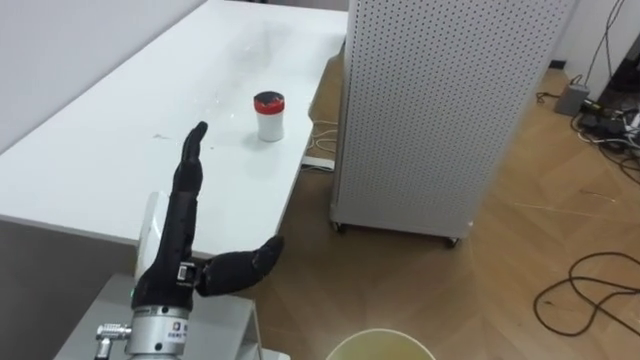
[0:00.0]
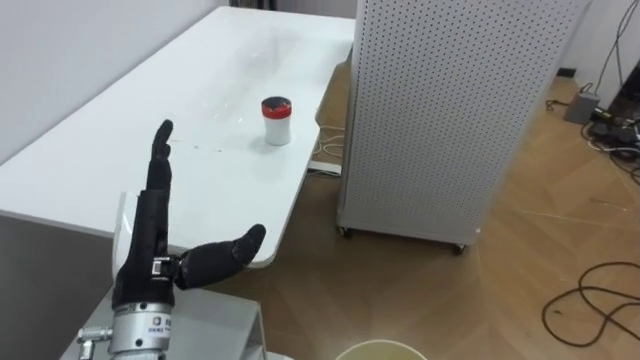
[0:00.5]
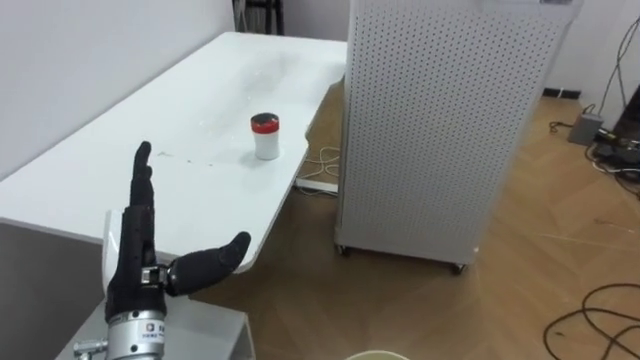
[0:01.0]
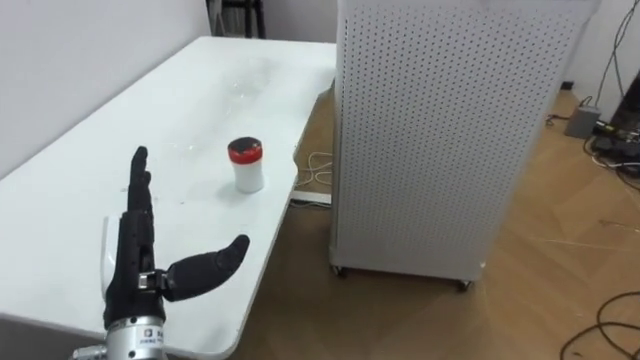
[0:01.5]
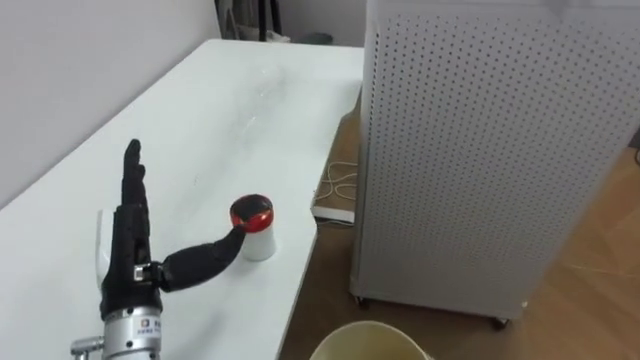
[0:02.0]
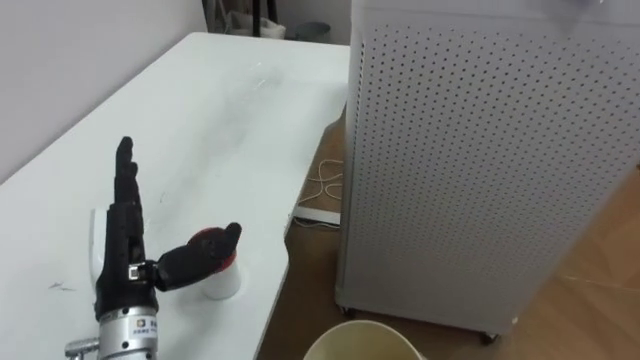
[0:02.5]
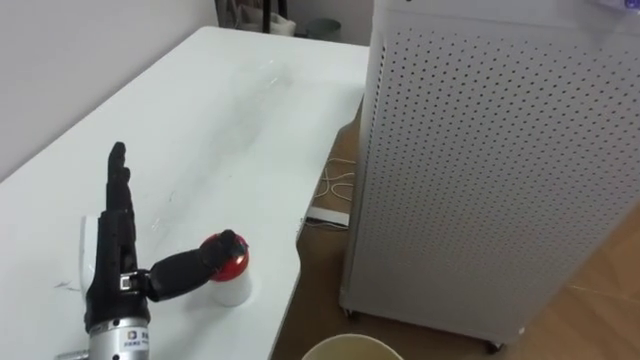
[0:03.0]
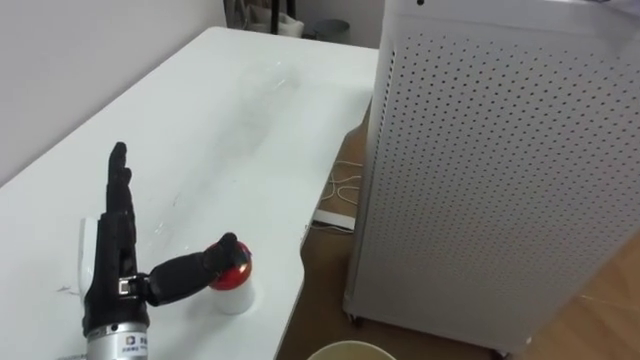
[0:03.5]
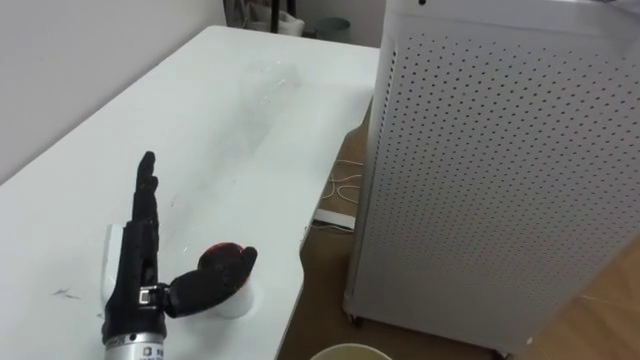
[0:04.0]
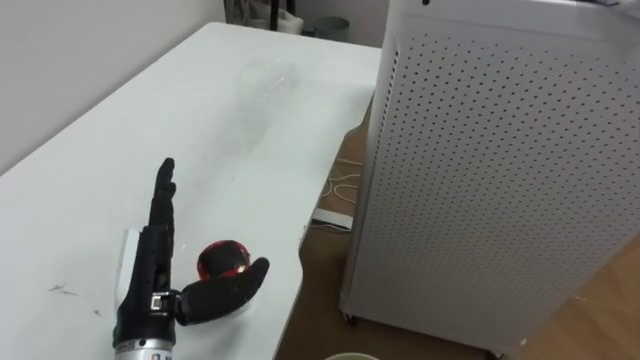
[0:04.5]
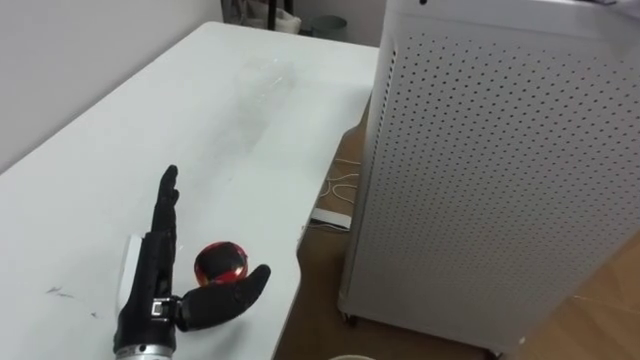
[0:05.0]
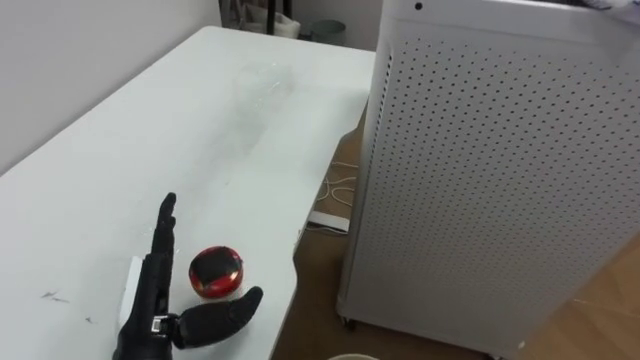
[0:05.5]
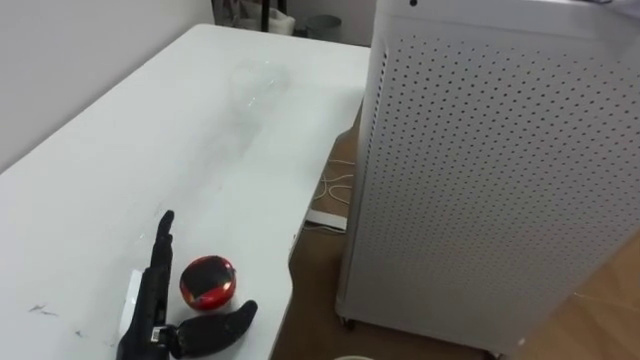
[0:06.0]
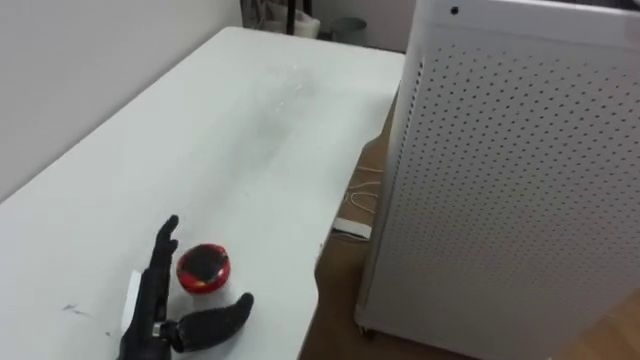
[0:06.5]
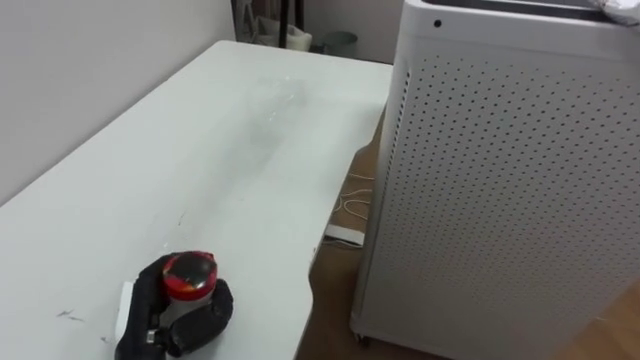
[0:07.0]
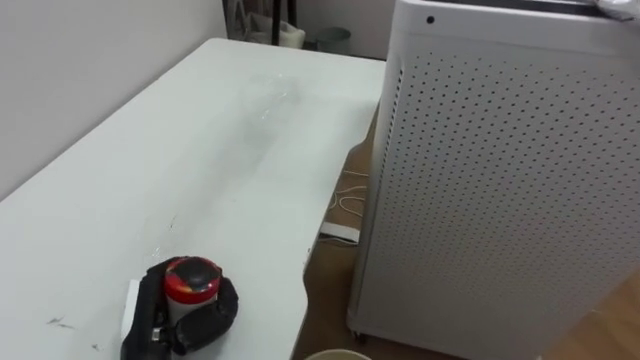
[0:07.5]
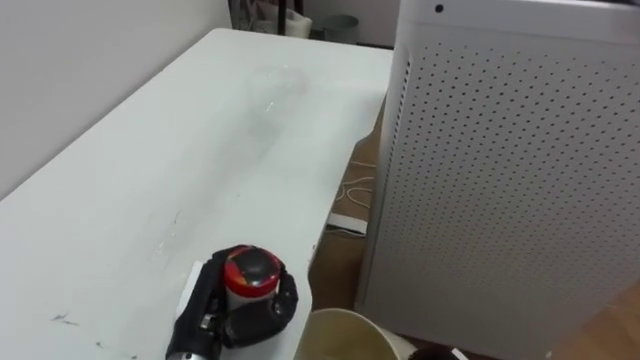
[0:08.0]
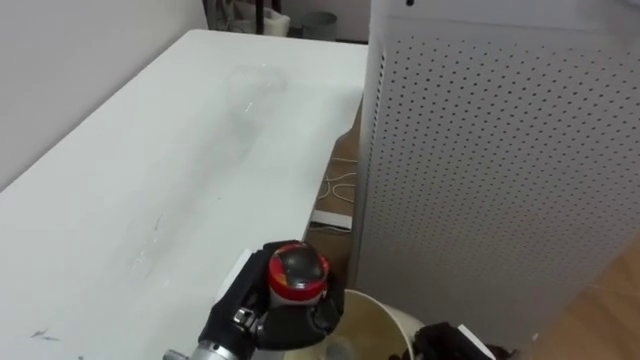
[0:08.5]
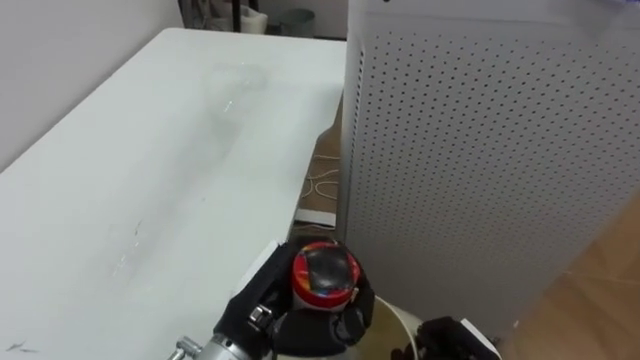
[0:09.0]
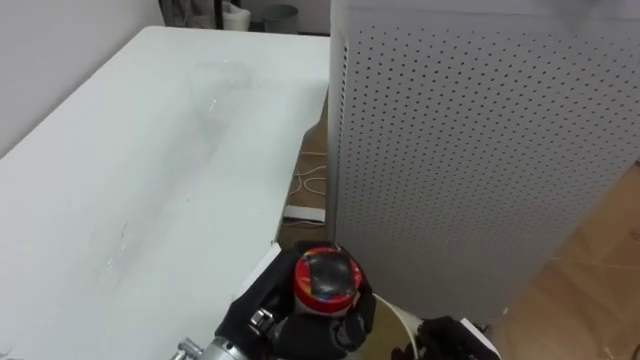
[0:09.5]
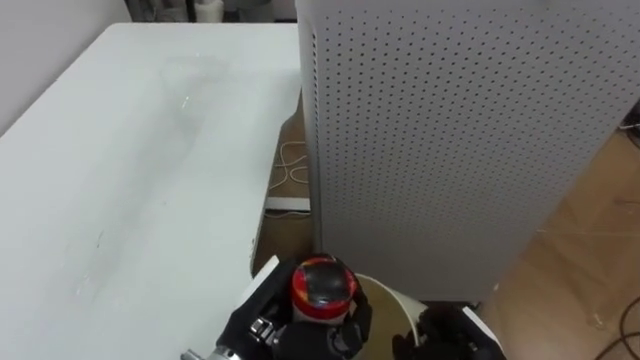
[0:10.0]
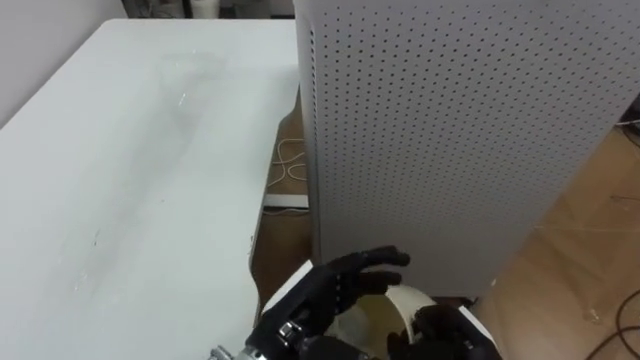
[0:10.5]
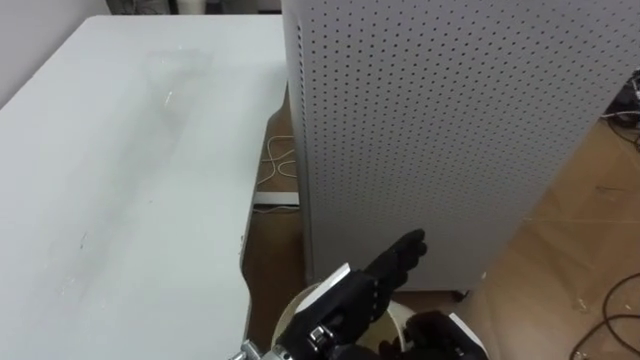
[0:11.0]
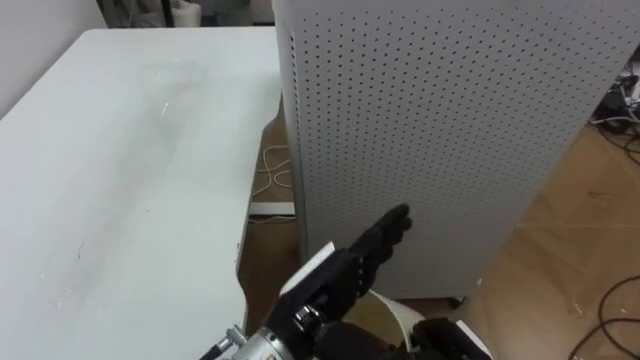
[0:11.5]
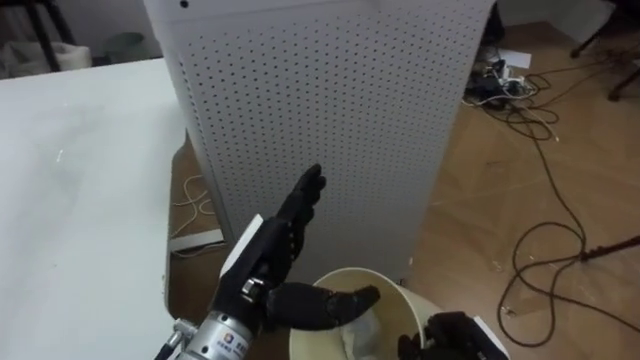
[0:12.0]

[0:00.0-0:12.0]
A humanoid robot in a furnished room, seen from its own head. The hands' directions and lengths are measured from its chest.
Task of the whole recording: Pick up the light blue package, the candy box, and the dark blue package separately, and put them into the trash can held in your right hand.
0:04.0 to 0:06.0: The left hand heads downward, covering about 5 cm.
0:06.0 to 0:08.0: The left hand heads to the right, covering about 5 cm, and closes up.
0:08.0 to 0:10.0: The left hand goes about 10 cm to the right.
0:10.0 to 0:12.0: The robot rotates about 15 degrees to its right. The left hand moves about 5 cm to the right and comes back, and opens up.

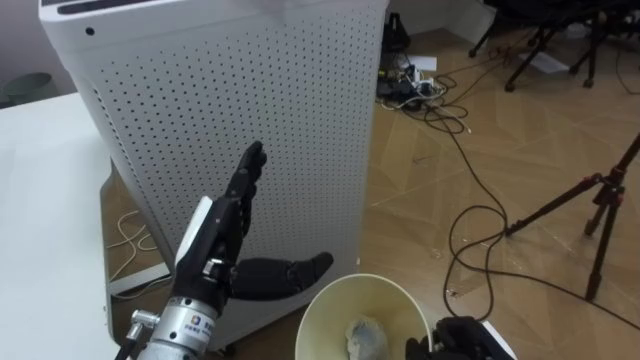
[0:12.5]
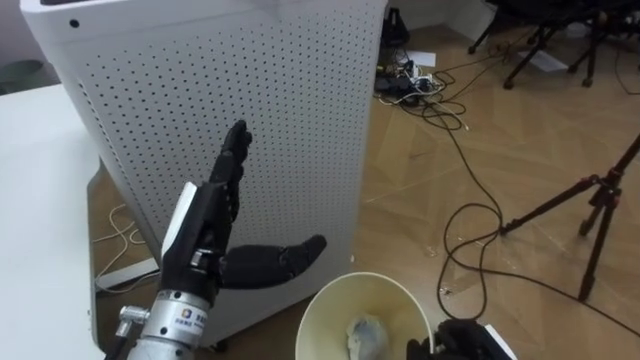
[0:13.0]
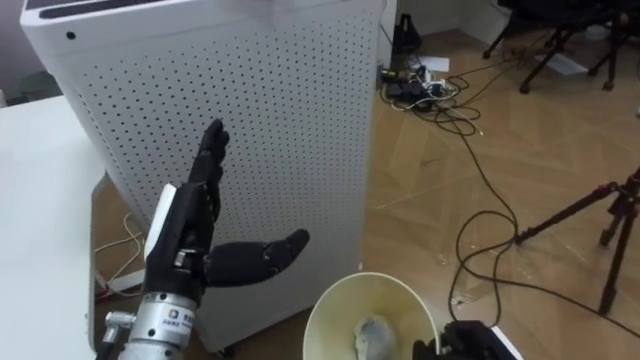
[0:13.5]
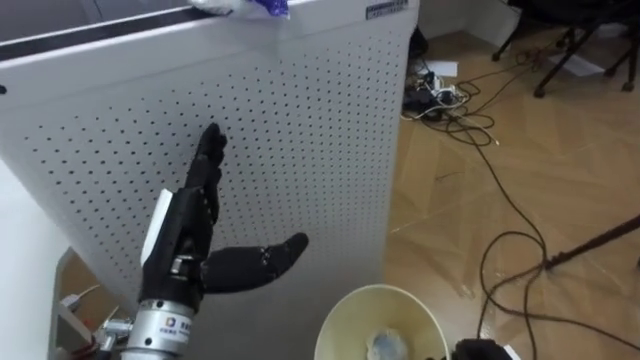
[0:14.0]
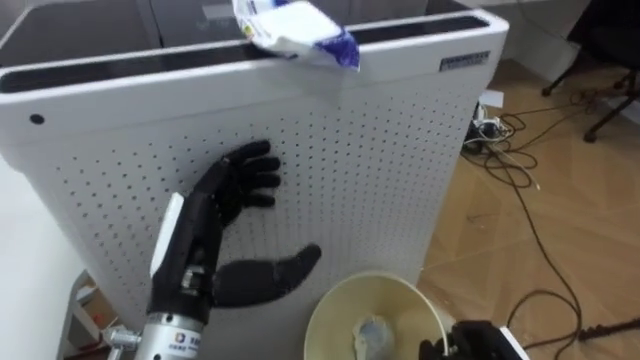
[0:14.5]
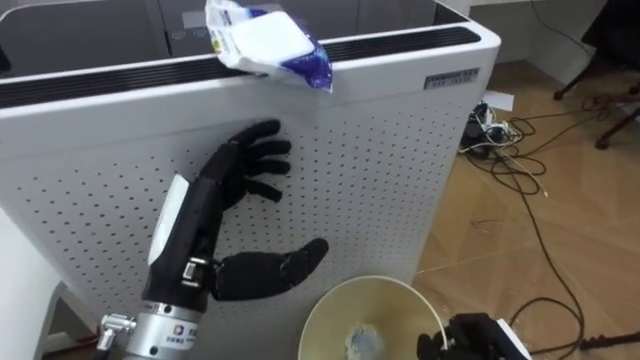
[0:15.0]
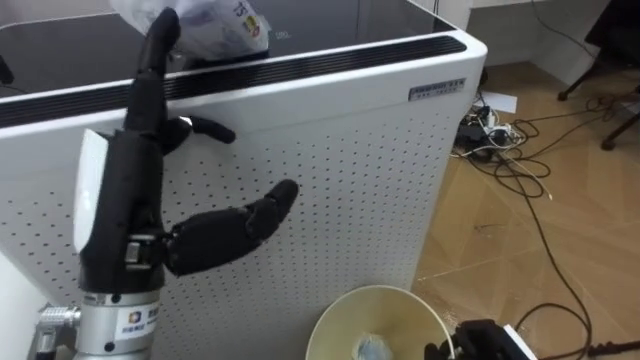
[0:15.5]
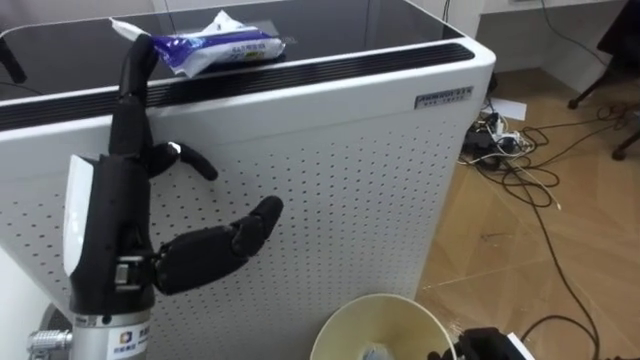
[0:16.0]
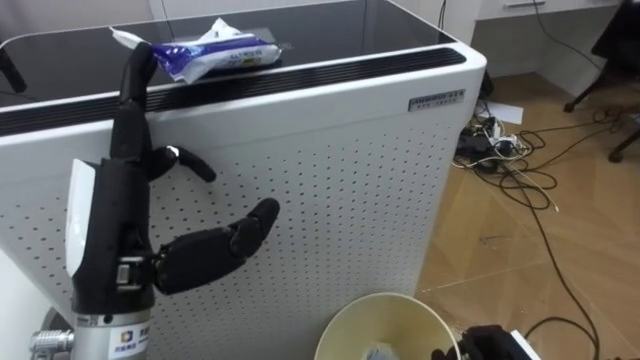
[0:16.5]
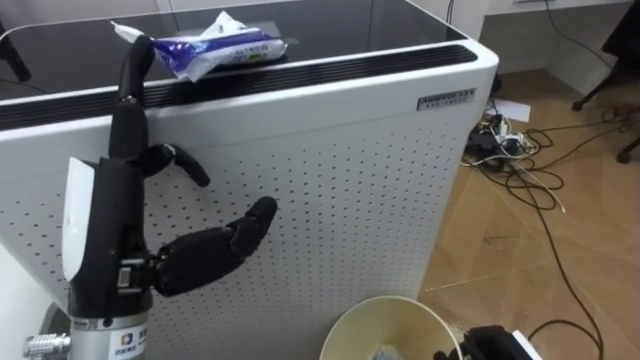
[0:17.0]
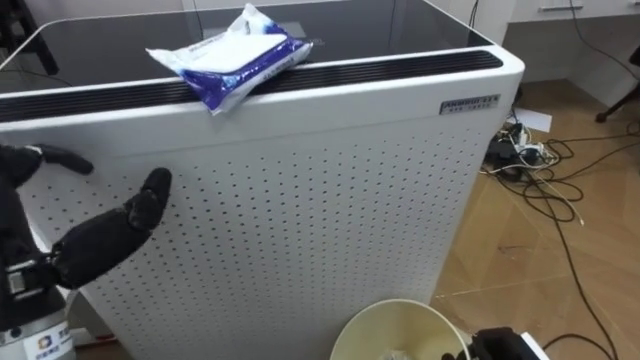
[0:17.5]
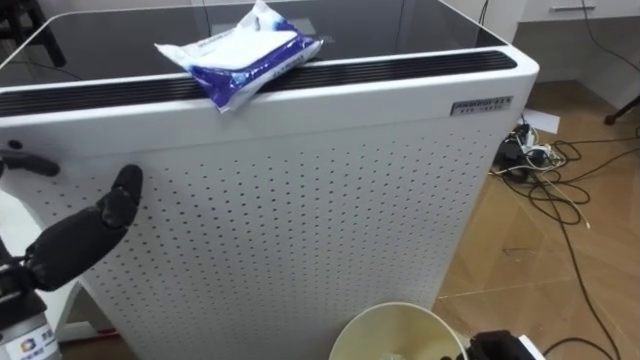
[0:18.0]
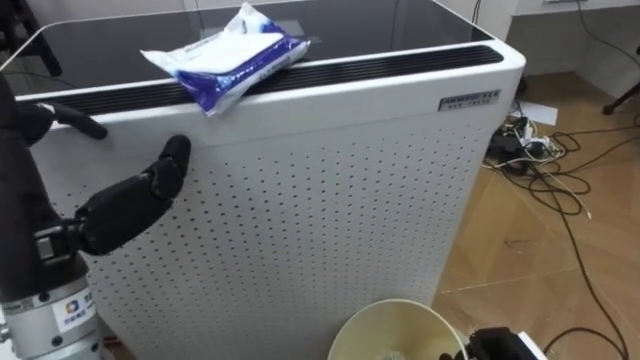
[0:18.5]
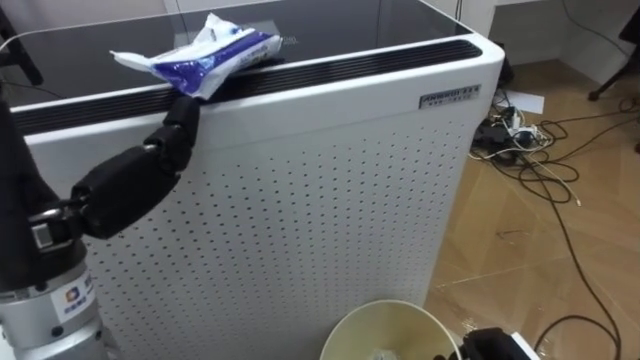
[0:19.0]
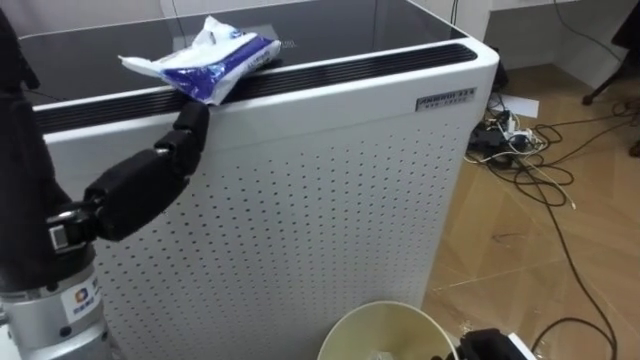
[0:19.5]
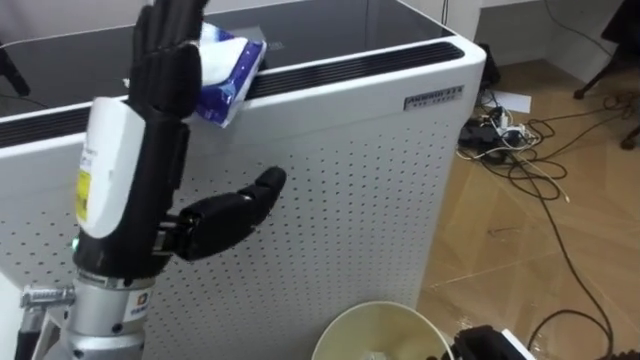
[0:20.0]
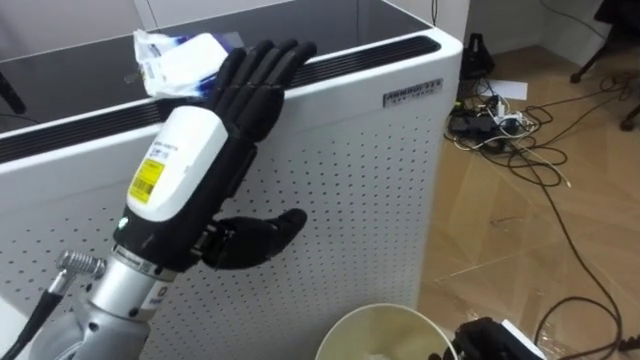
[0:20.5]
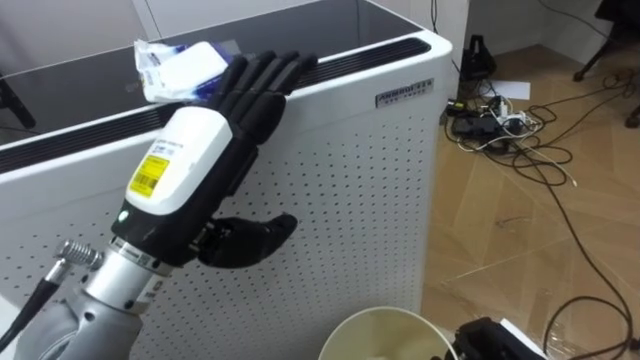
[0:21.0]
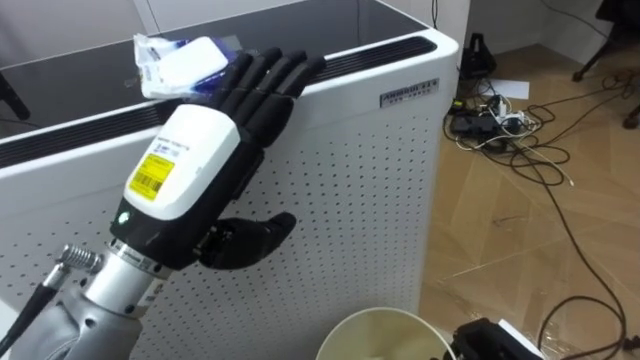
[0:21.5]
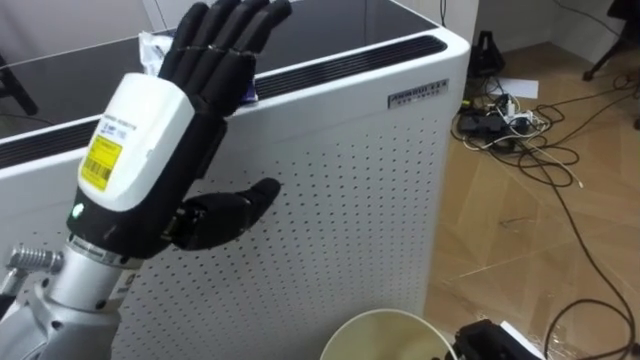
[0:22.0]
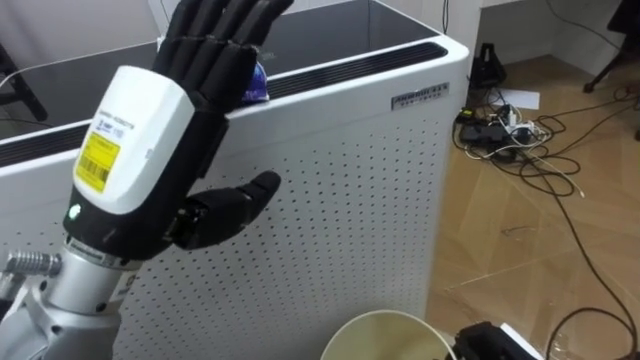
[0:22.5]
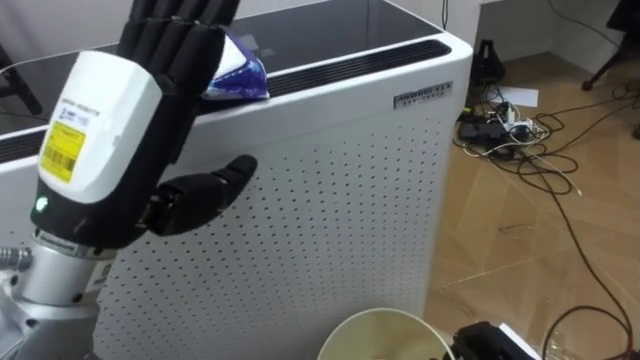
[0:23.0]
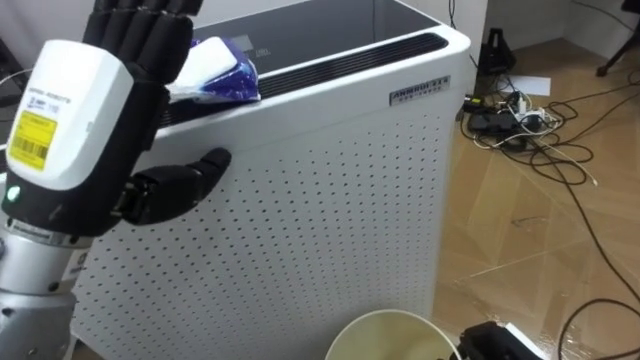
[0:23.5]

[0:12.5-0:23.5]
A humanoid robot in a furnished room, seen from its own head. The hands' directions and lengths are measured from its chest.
Task of the whole recording: Pick up the light blue package, the candy box, and the dark blue package separately, and put them into the trash can held in your right hand.
0:14.5 to 0:16.0: The left hand goes about 10 cm upward.
0:21.5 to 0:23.5: The left hand heads to the left, covering some 5 cm.
